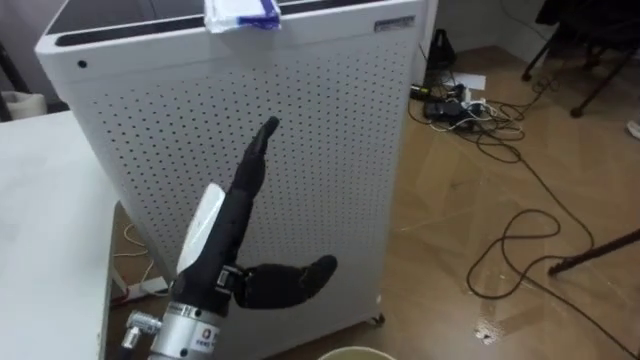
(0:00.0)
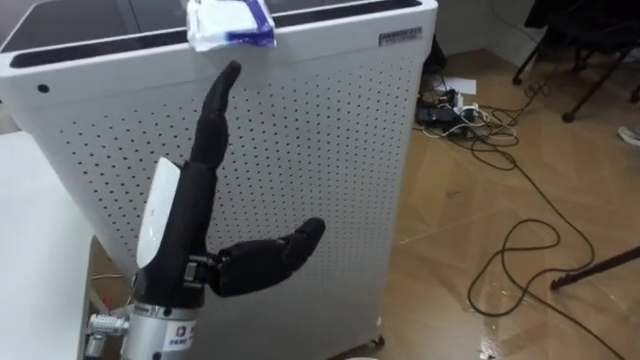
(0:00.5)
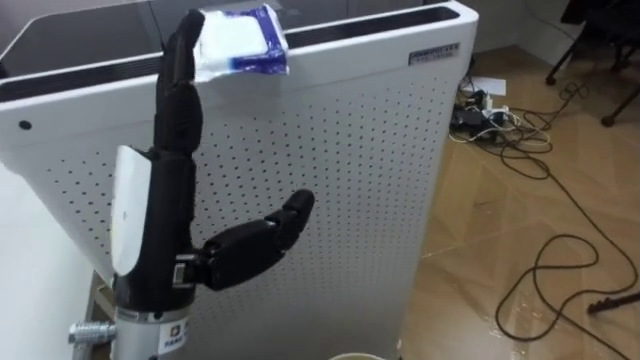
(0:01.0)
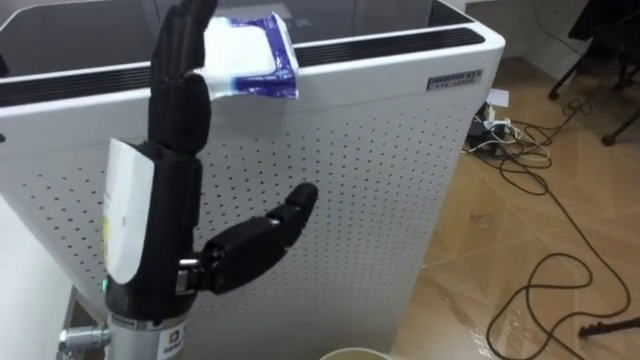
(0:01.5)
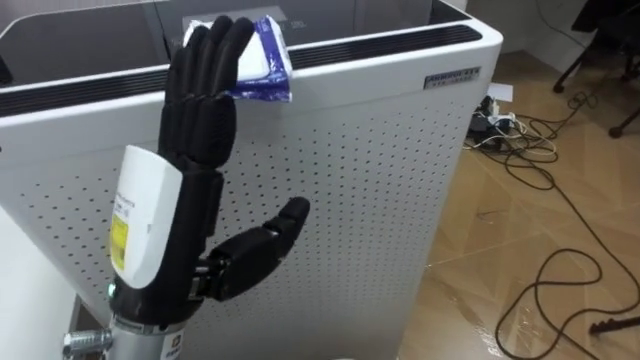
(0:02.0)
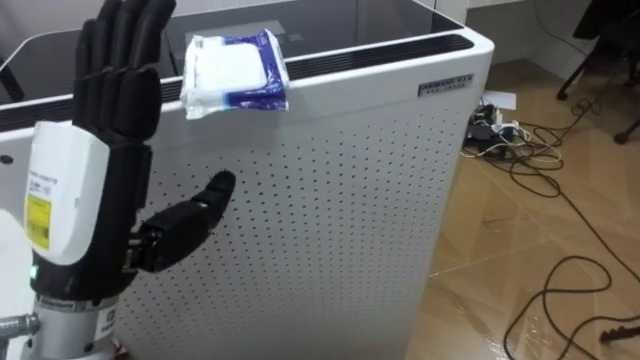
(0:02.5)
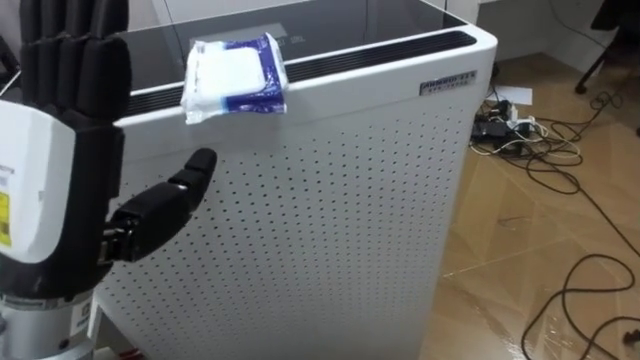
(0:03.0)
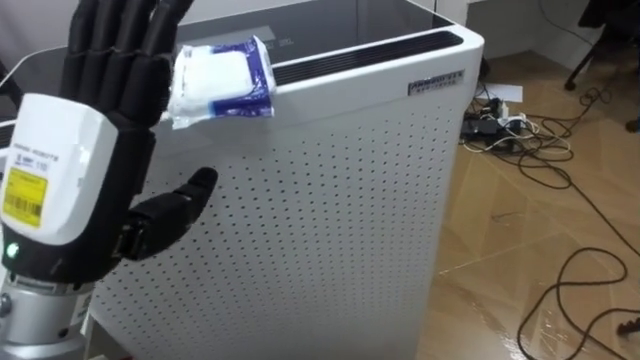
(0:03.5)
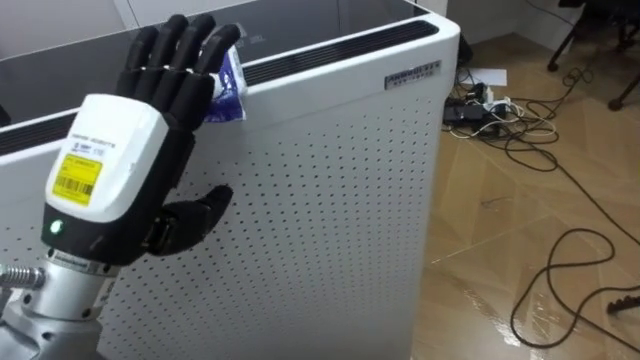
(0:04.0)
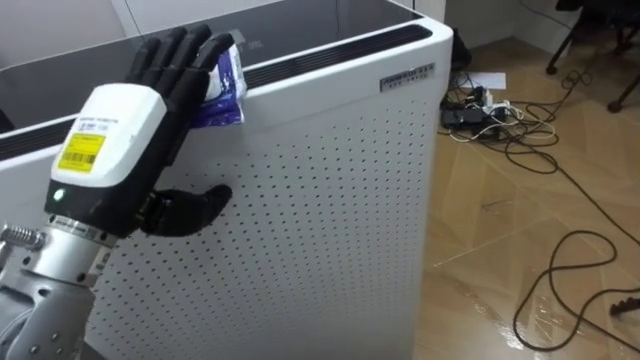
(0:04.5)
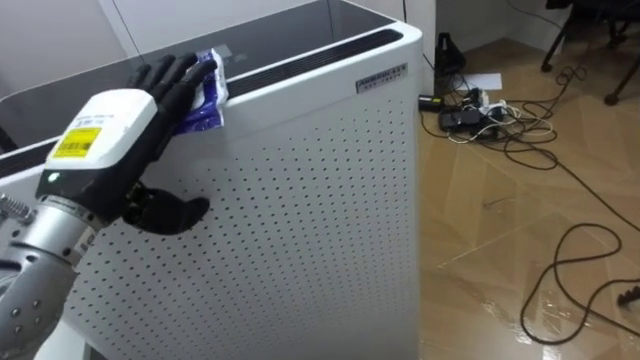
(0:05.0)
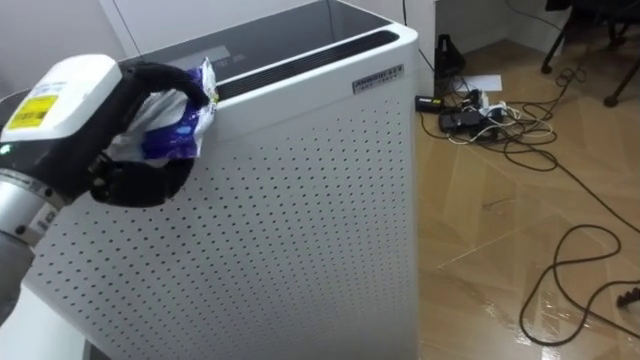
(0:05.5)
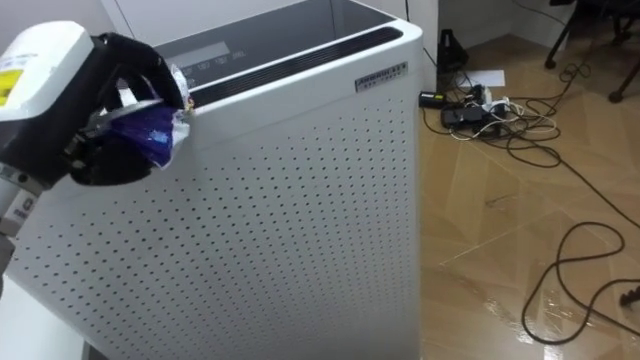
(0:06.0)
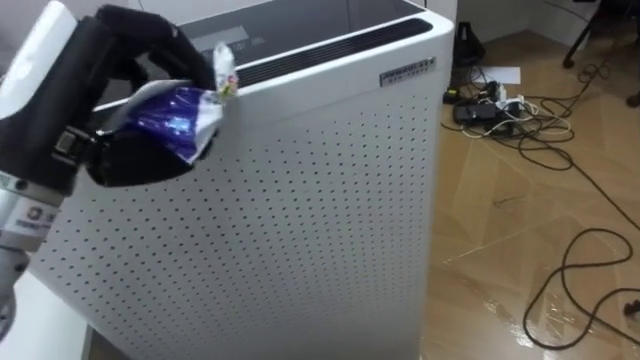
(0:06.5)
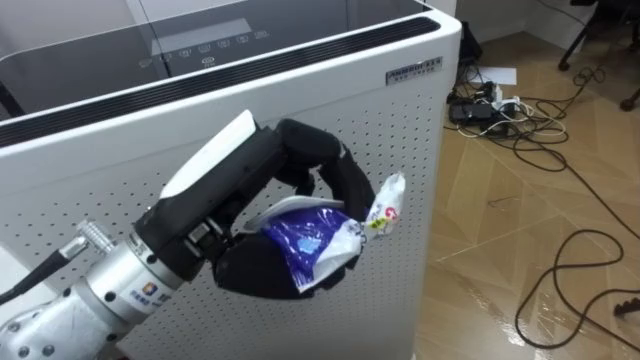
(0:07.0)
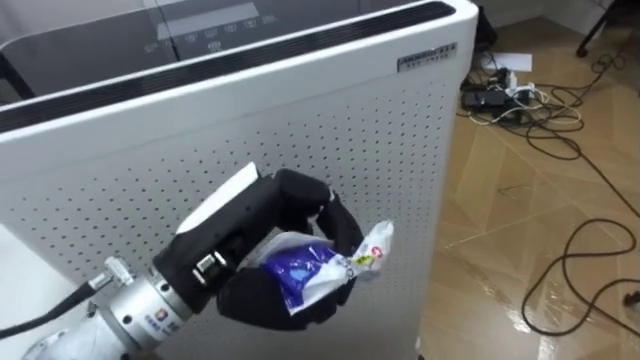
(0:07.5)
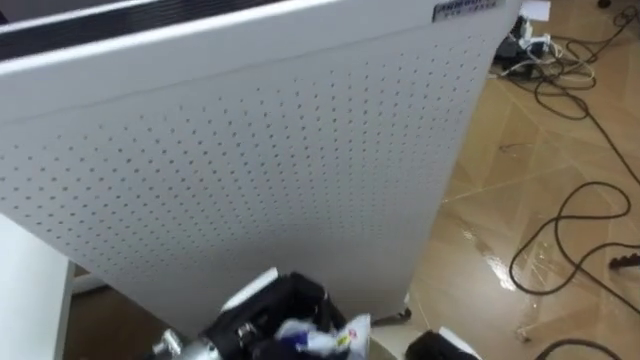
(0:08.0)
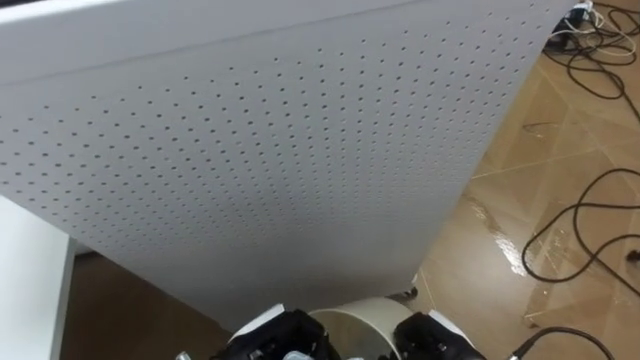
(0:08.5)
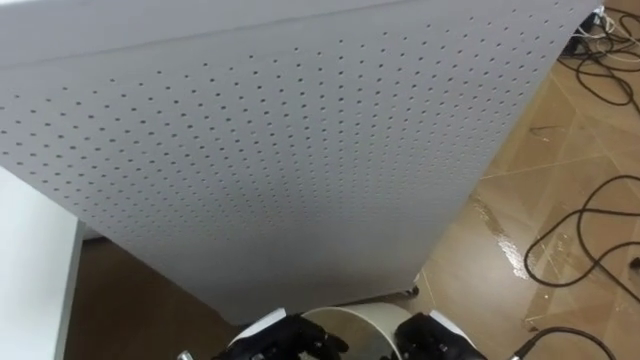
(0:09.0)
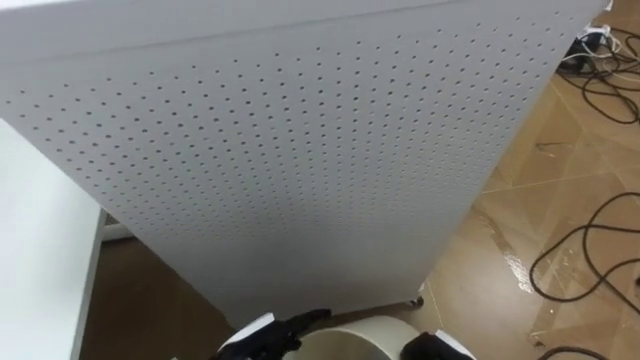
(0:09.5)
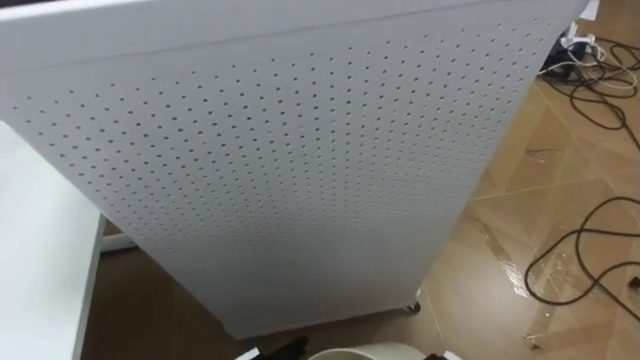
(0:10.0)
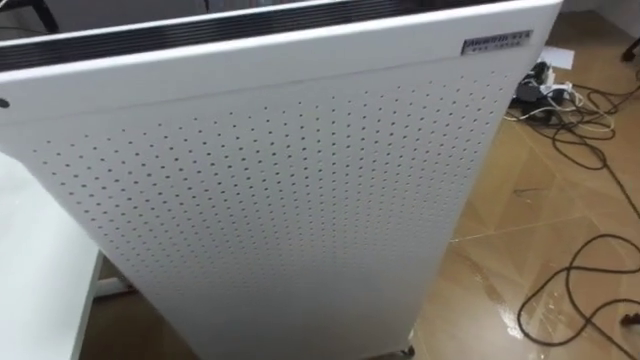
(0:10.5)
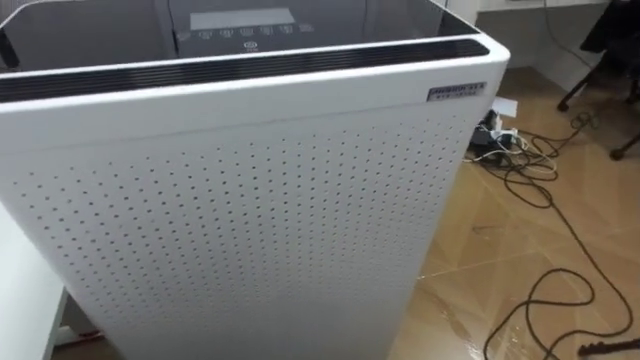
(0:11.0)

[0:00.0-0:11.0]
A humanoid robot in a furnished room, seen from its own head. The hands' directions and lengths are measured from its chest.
Task of the whole recording: Pick up the light blue package, the candy box, and the dark blue package separately, and put them into the trash can held in your right hand.
0:00.0 to 0:02.0: The left hand shifts approximately 10 cm upward.
0:02.0 to 0:03.5: The left hand is displaced to the left by approximately 5 cm.
0:03.5 to 0:05.5: The left hand moves forward, about 5 cm, and closes its fingers.
0:05.5 to 0:07.5: The left hand travels to the right, downward and backward by approximately 15 cm, and closes its fingers.
0:07.5 to 0:09.0: The left hand heads downward, covering about 20 cm.

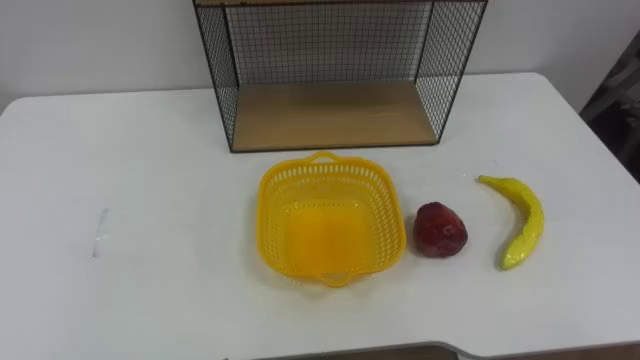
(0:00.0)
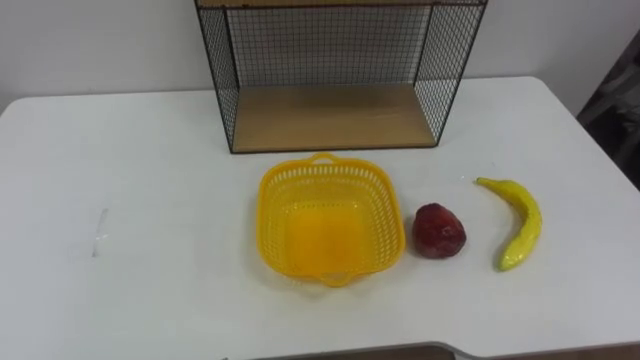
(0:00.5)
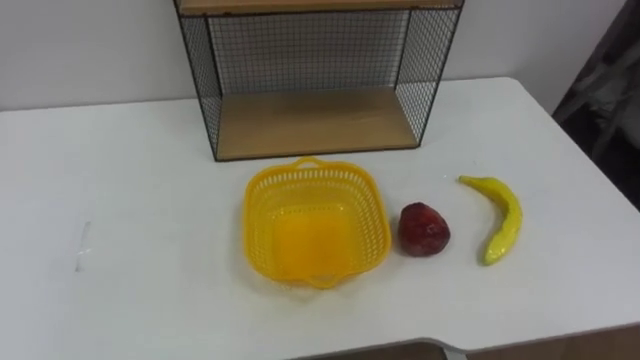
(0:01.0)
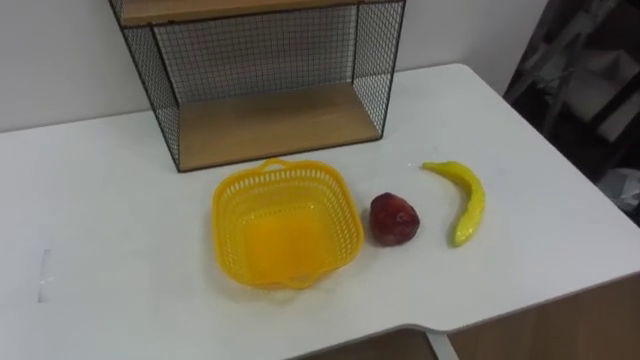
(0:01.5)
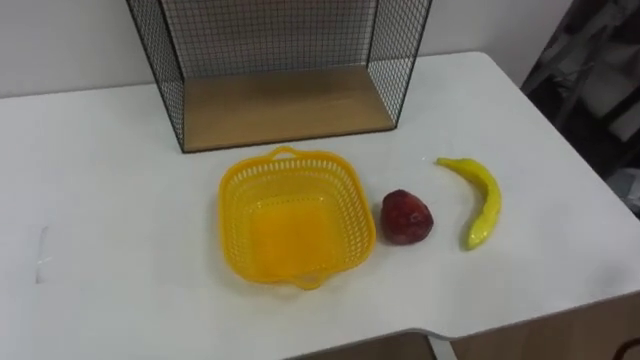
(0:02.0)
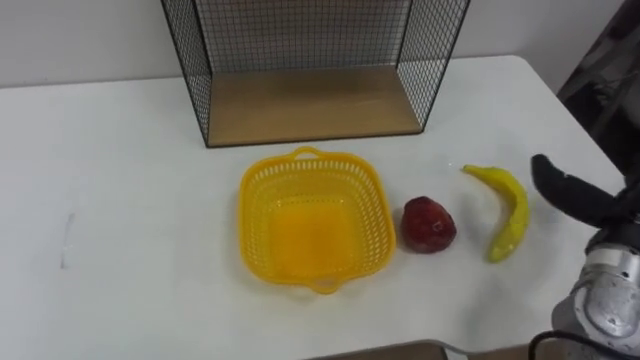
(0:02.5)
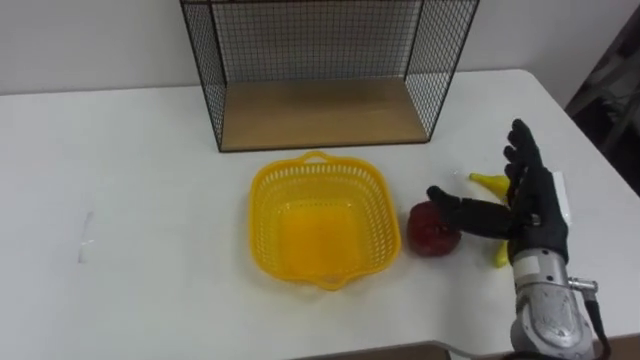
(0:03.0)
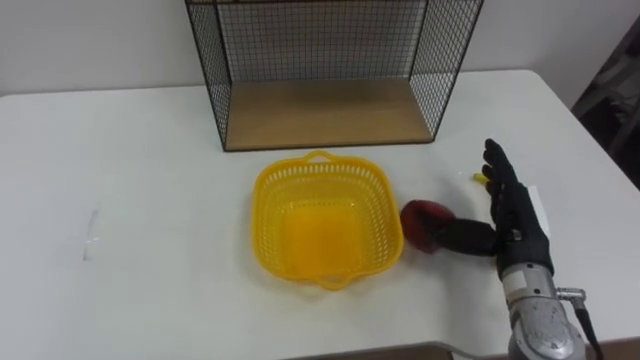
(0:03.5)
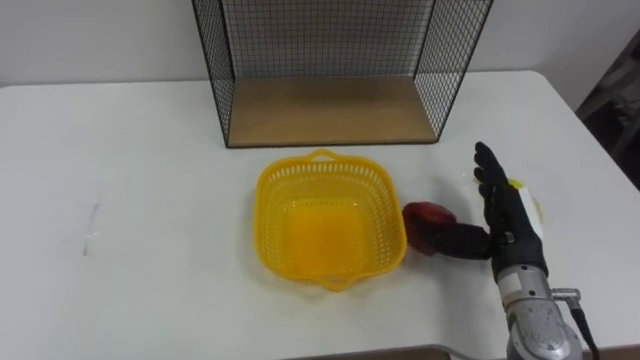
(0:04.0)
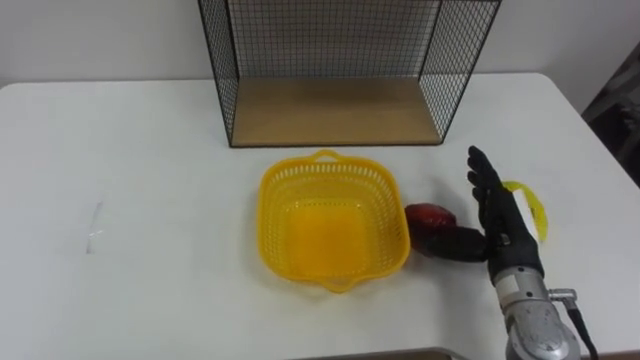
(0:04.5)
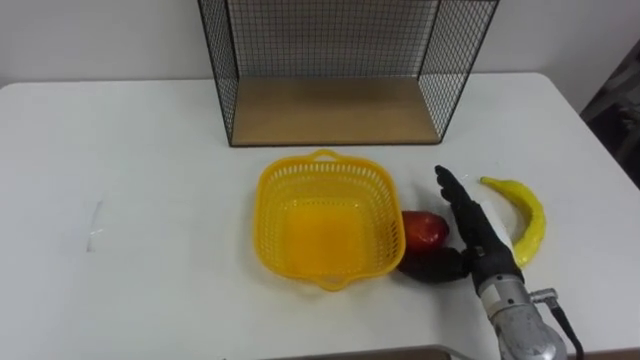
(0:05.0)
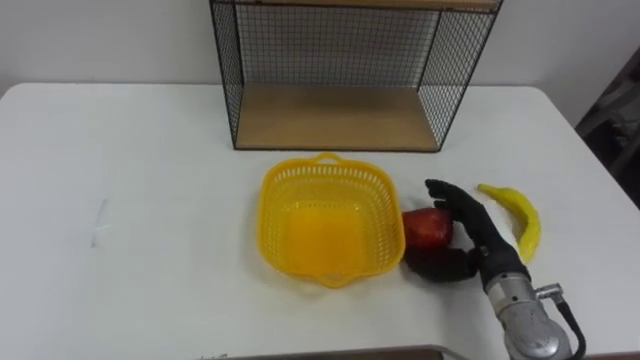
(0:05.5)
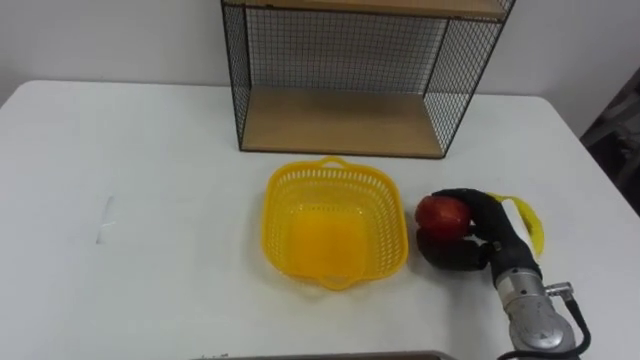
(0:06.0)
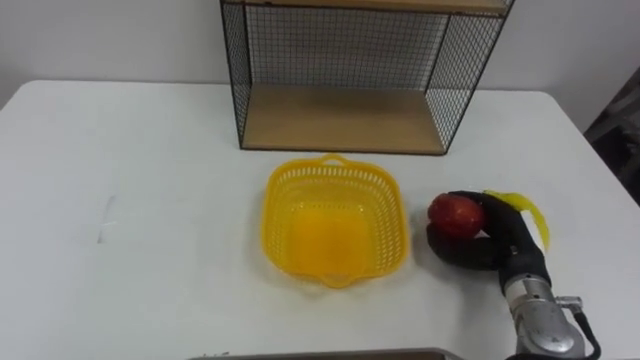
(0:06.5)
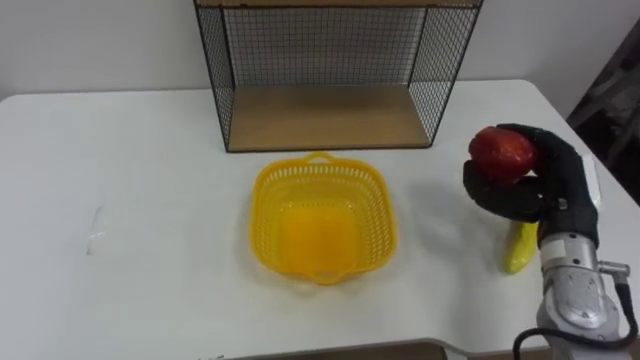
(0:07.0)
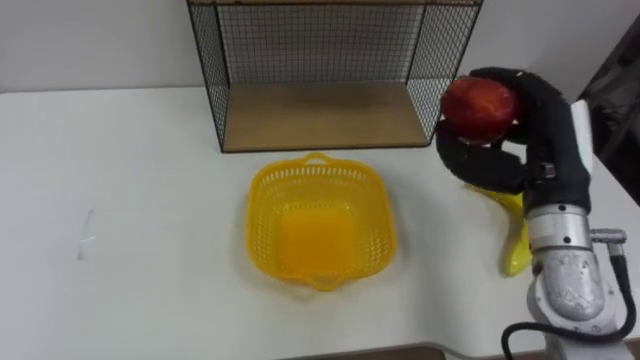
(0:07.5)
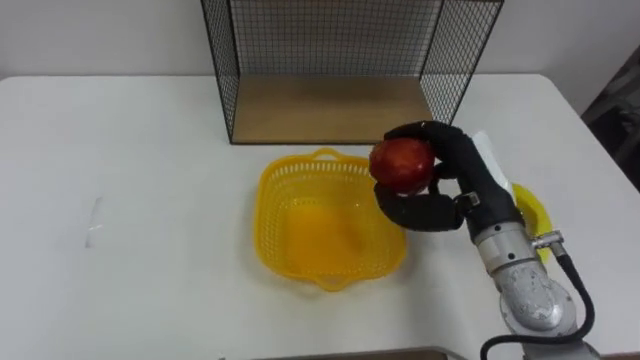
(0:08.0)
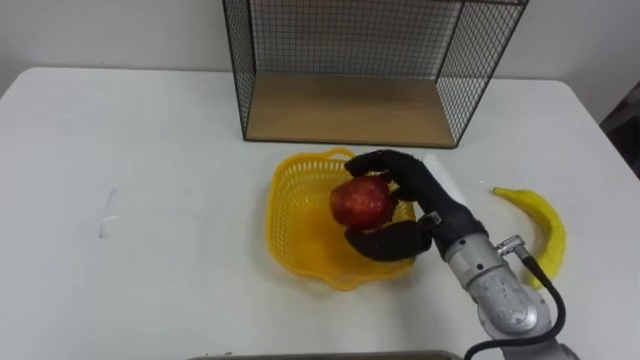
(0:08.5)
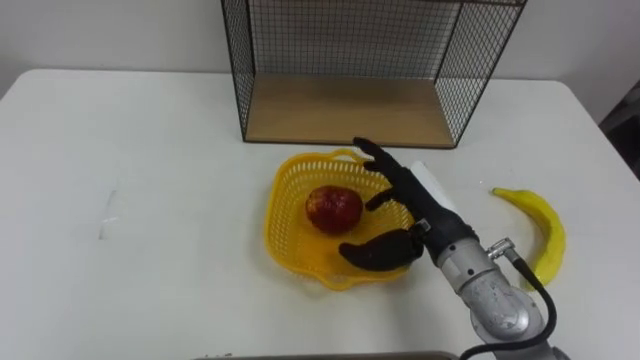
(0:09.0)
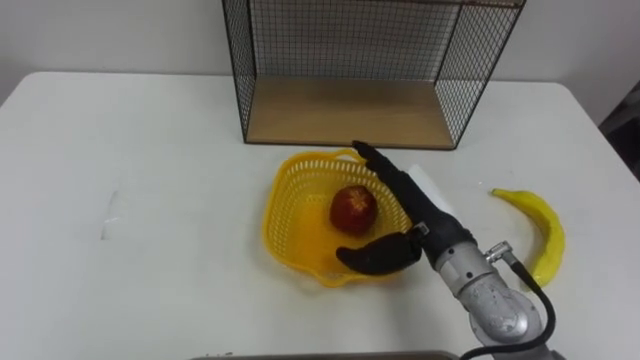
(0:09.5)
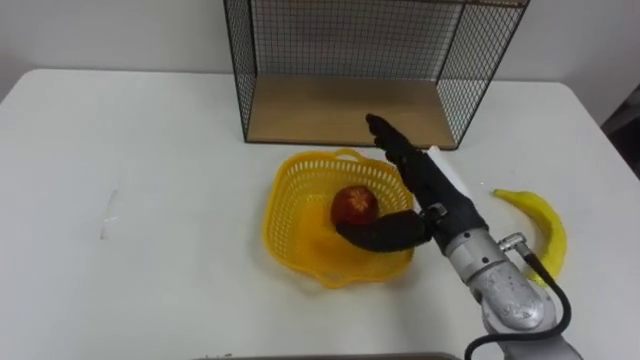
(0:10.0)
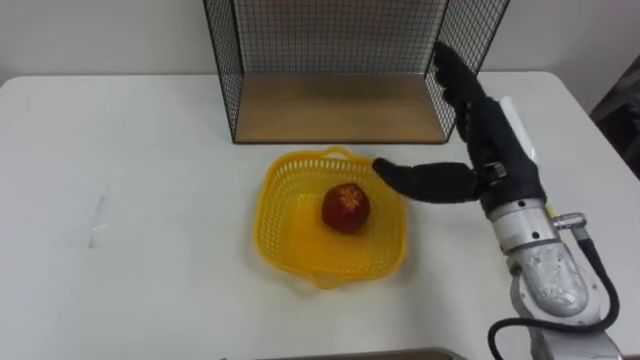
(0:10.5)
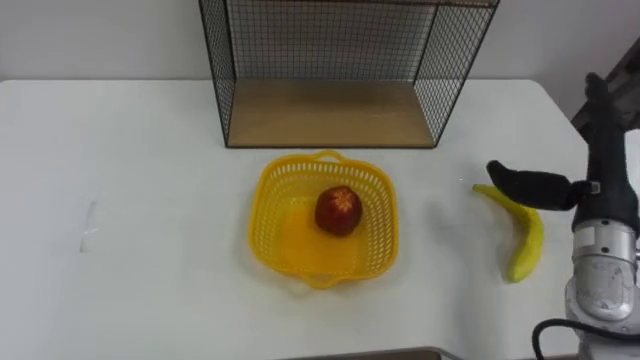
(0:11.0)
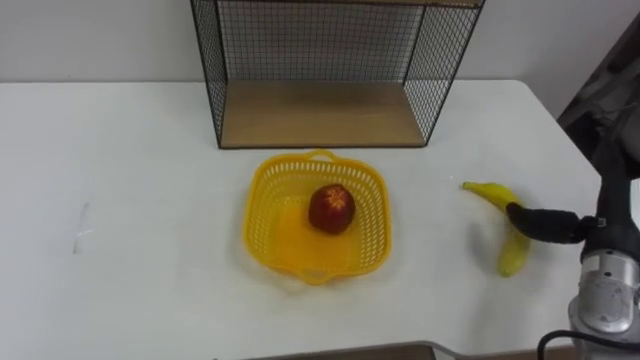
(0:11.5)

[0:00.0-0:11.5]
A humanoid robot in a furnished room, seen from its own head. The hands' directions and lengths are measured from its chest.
Task of the whole recording: Put the fruit on the table into the basket, then place the basket on the shelf.
0:04.0 to 0:06.0: The right hand closes its fingers.
0:06.0 to 0:07.5: The right hand travels upward by approximately 15 cm.
0:07.5 to 0:09.5: The right hand is displaced to the left and downward by about 15 cm, and opens up.
0:09.5 to 0:11.5: The right hand moves to the right, roughly 20 cm.
